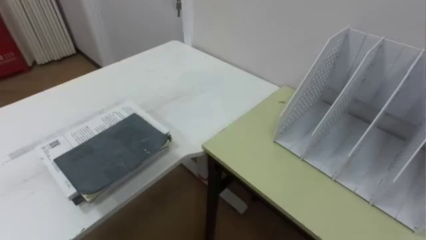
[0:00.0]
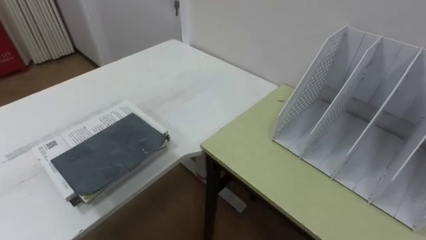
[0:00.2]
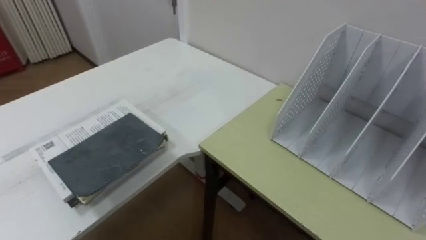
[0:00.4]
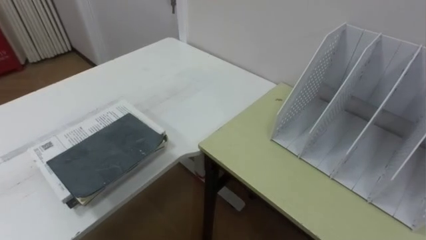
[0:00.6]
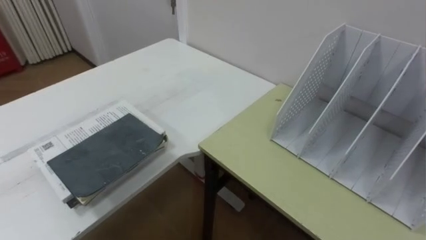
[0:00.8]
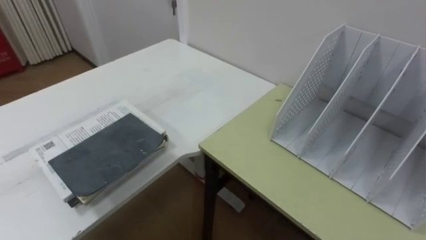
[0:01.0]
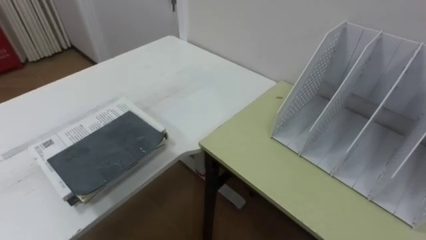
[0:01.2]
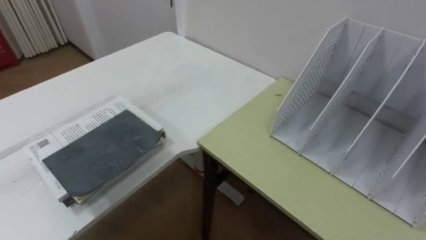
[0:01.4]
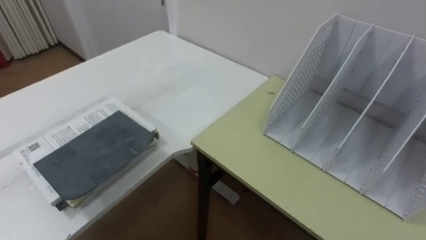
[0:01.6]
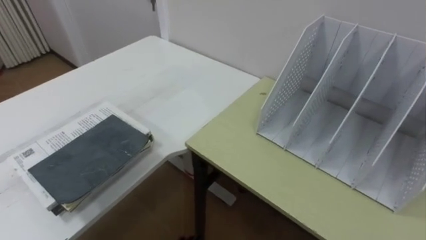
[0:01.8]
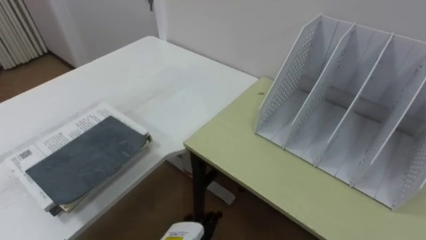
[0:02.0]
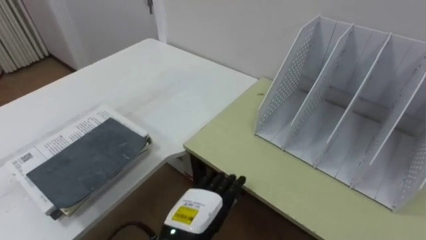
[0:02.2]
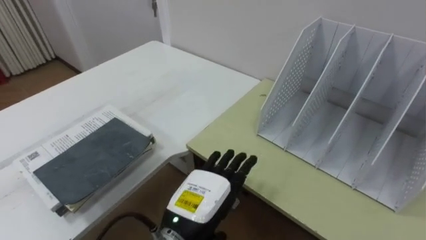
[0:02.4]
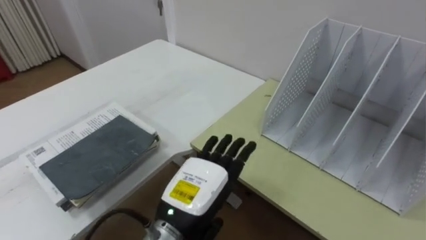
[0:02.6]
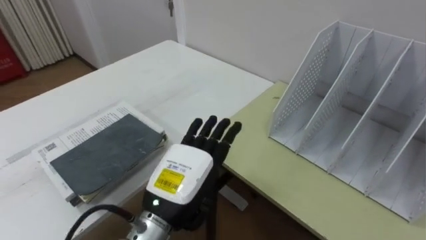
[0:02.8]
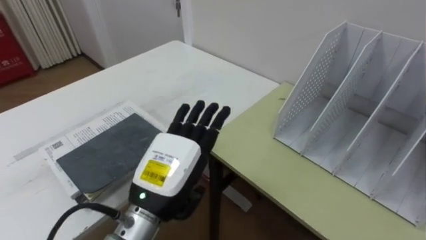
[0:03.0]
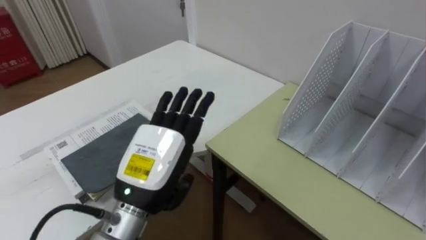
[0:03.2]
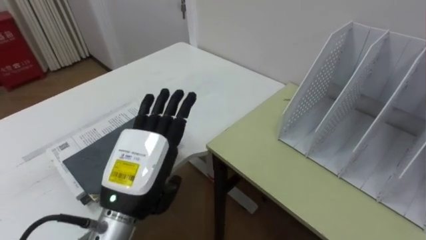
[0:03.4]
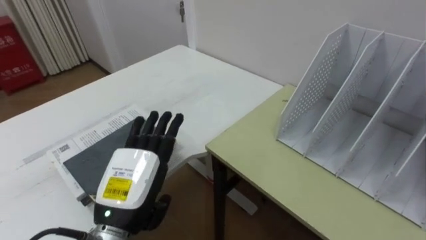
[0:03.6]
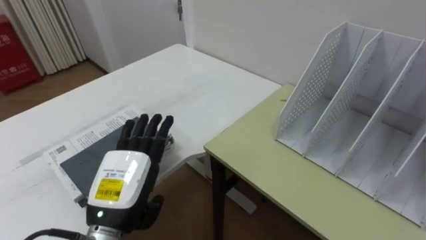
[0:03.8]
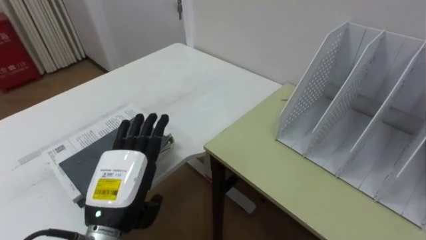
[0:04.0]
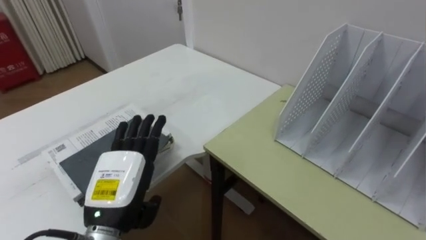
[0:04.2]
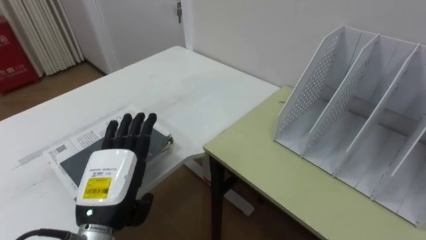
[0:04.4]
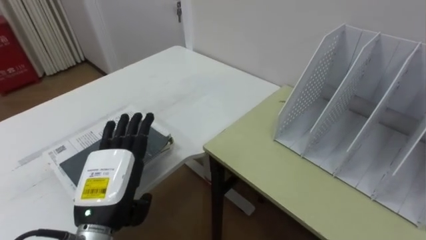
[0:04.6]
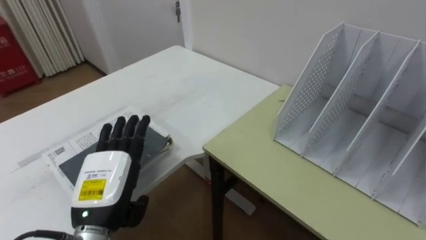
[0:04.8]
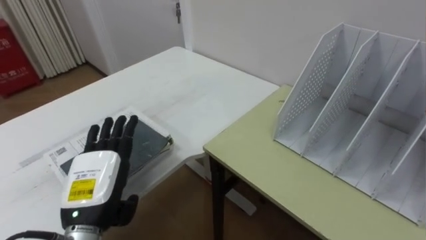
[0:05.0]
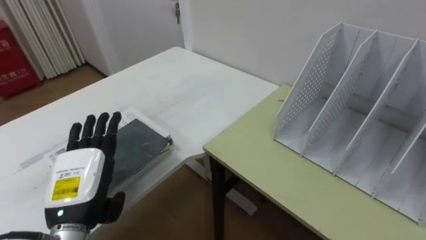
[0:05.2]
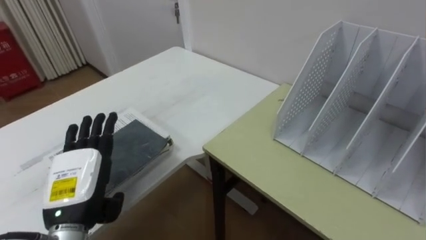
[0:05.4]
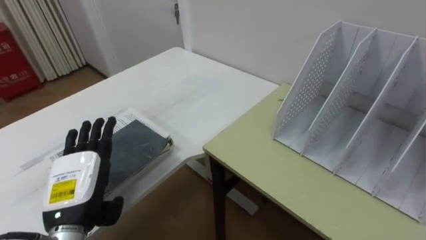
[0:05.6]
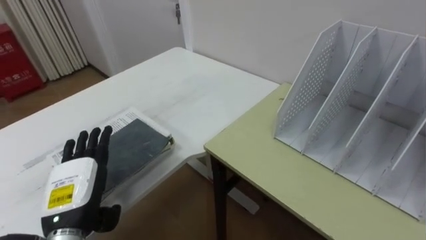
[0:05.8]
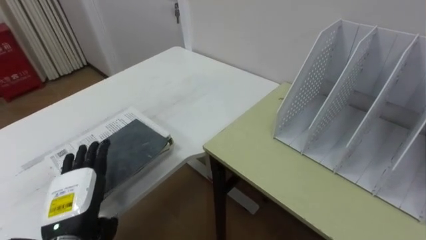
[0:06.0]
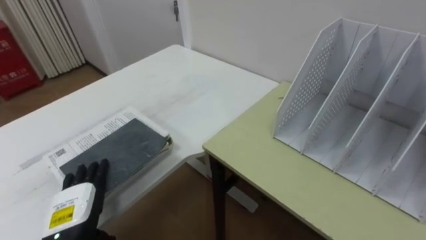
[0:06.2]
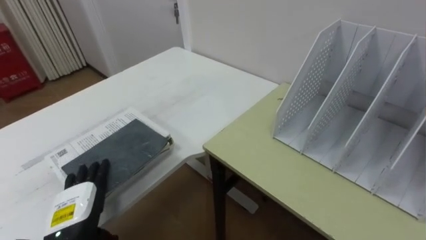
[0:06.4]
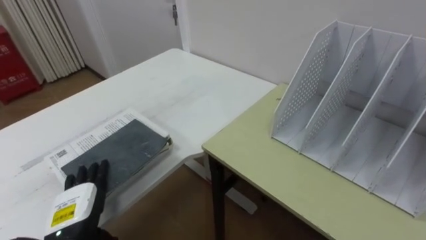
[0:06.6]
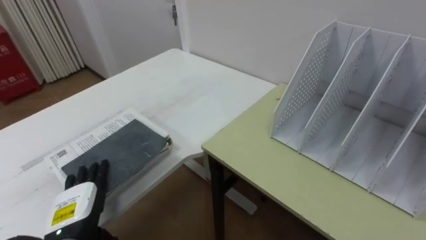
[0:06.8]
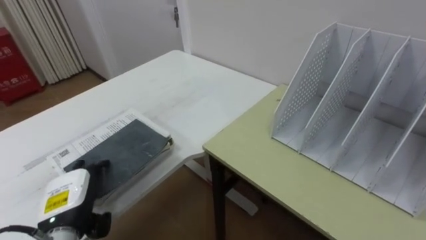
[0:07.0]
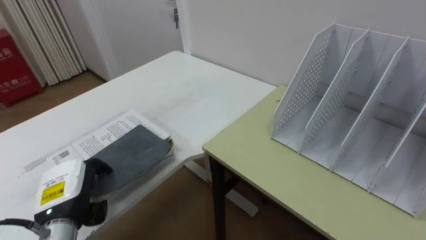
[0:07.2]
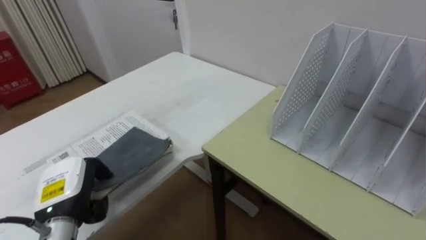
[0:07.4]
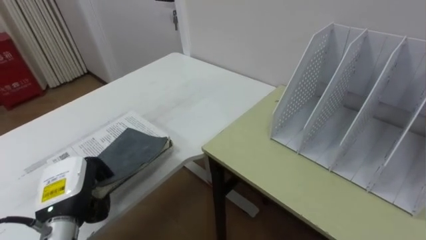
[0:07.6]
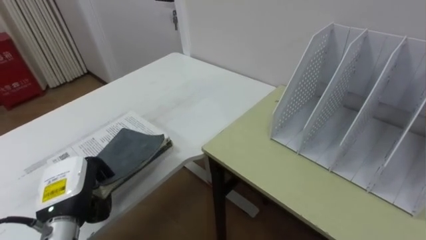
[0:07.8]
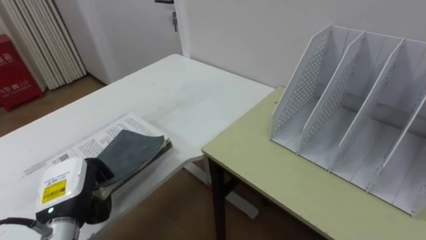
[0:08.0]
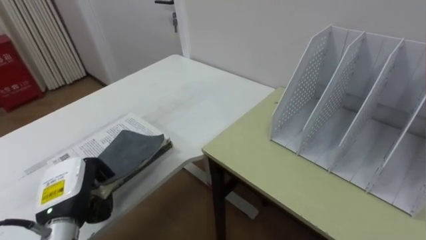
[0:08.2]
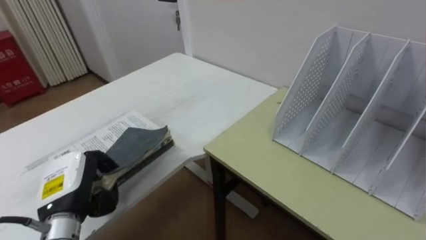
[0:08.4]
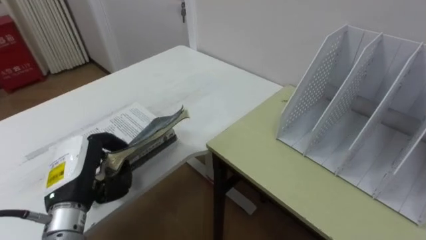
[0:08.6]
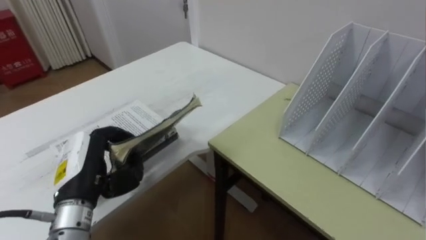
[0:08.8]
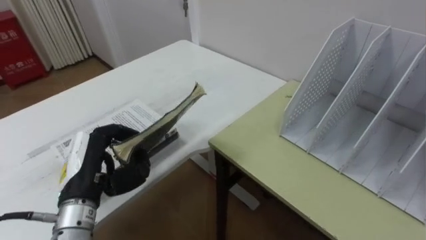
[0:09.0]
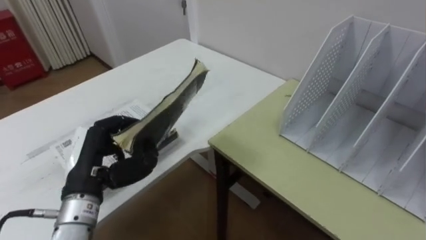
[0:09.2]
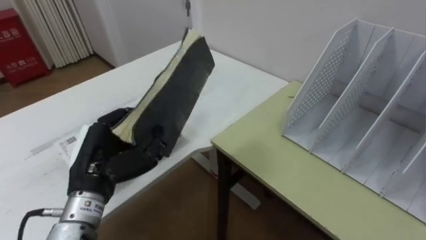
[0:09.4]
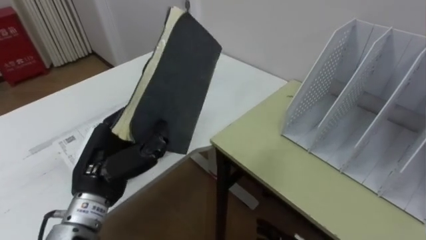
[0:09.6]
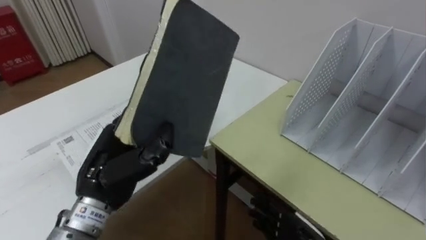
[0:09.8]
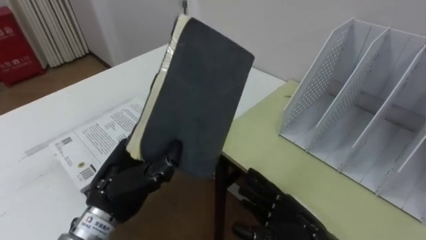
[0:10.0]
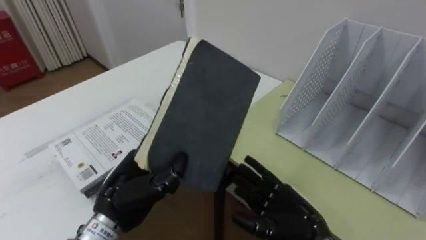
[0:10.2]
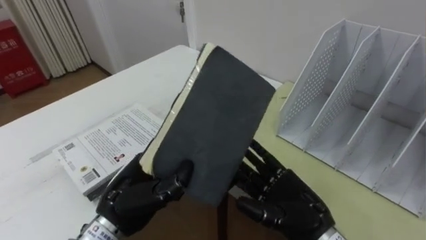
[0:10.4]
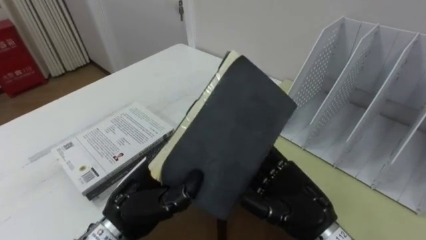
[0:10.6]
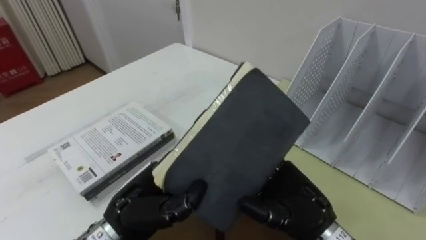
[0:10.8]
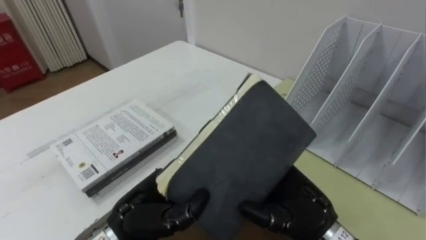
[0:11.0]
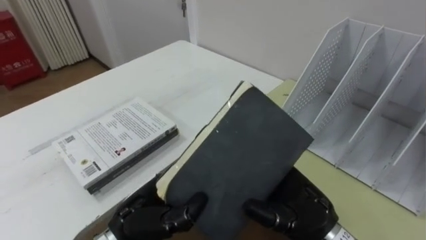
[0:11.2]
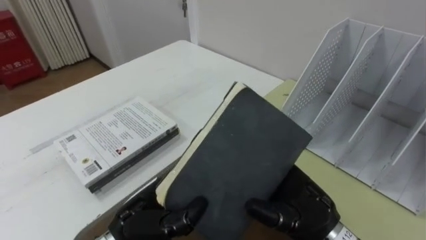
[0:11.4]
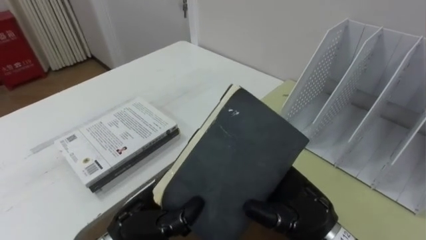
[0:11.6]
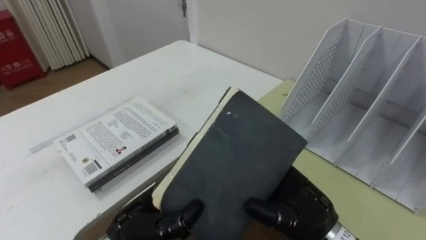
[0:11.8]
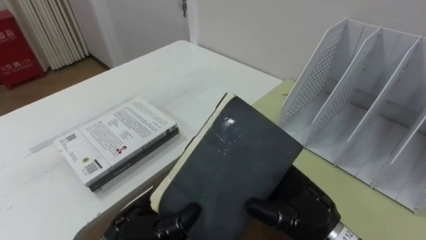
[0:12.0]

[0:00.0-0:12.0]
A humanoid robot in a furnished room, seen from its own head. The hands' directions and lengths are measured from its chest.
Task of the whole recording: Put the books on the table onto the bookshelf.
0:03.0 to 0:04.4: The left hand goes approximately 10 cm to the left.
0:04.4 to 0:06.0: The left hand shifts roughly 10 cm to the left and downward.
0:06.0 to 0:07.6: The left hand closes.
0:07.6 to 0:09.0: The left hand goes approximately 5 cm upward.
0:09.0 to 0:10.4: The left hand is displaced to the right by some 10 cm.
0:10.4 to 0:12.0: The left hand ends up roughly 5 cm from where it was.

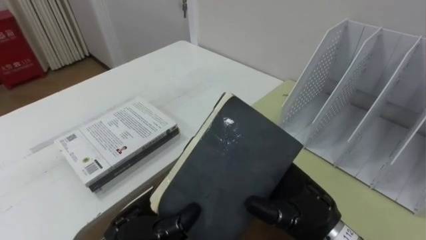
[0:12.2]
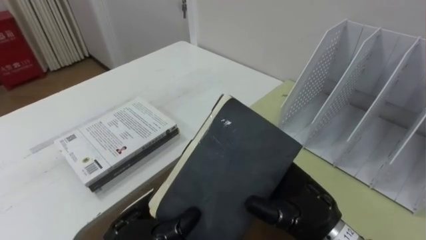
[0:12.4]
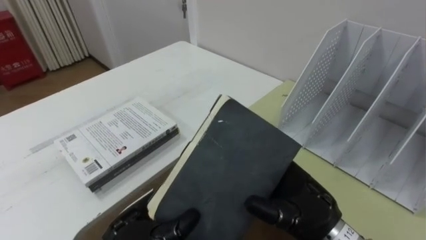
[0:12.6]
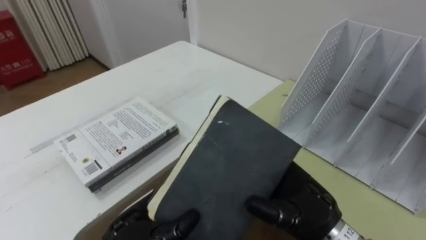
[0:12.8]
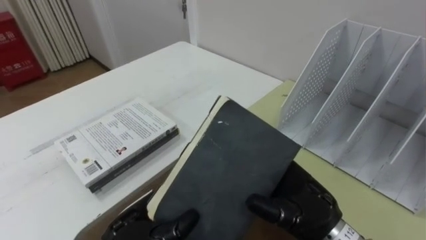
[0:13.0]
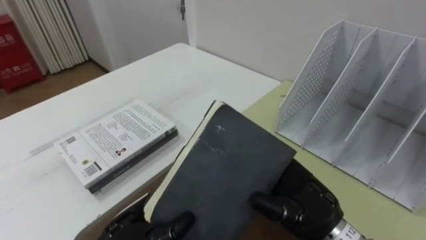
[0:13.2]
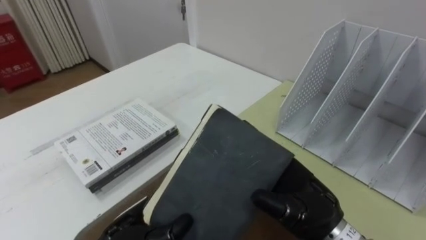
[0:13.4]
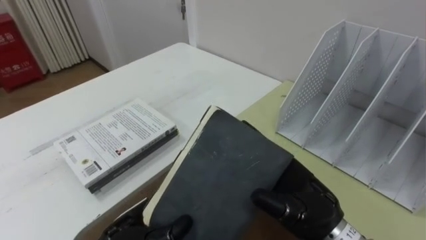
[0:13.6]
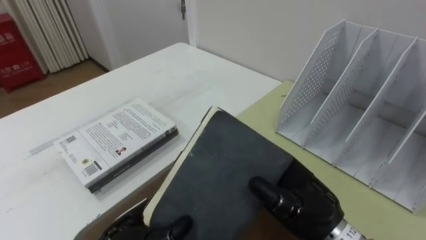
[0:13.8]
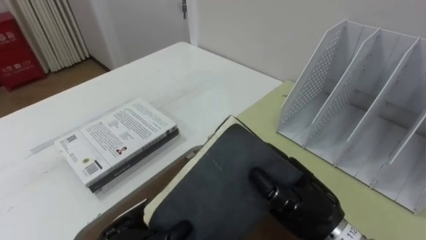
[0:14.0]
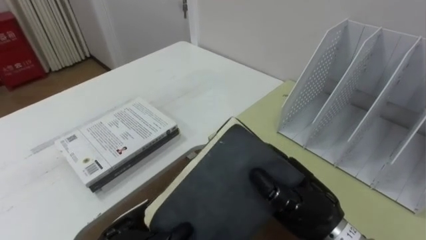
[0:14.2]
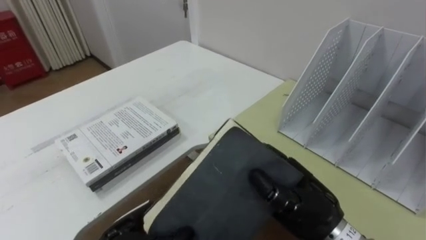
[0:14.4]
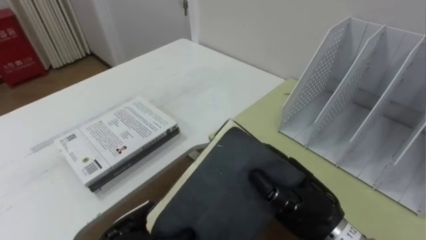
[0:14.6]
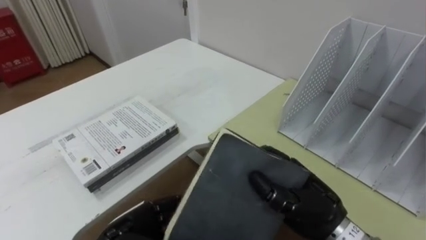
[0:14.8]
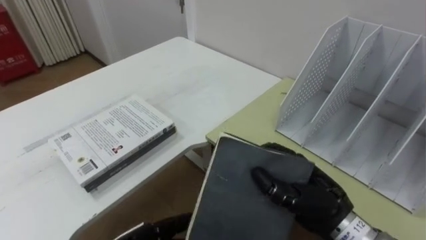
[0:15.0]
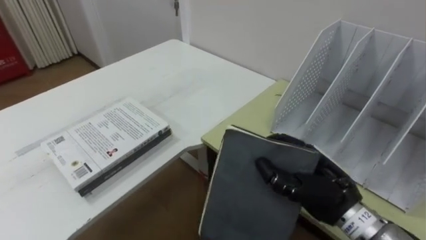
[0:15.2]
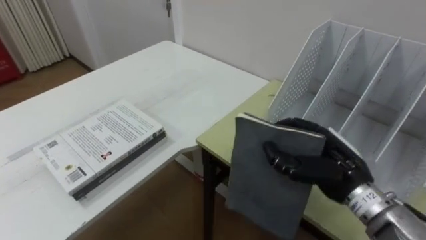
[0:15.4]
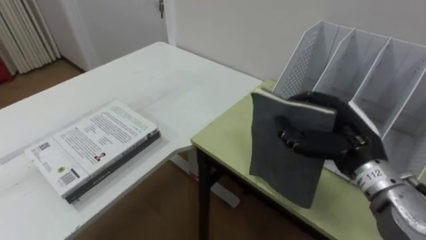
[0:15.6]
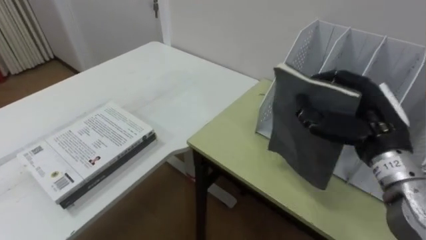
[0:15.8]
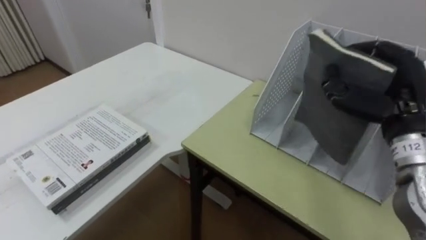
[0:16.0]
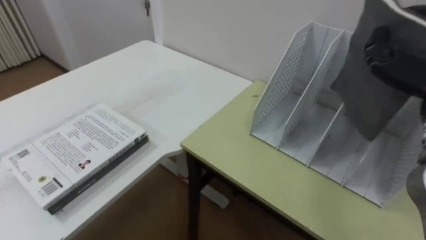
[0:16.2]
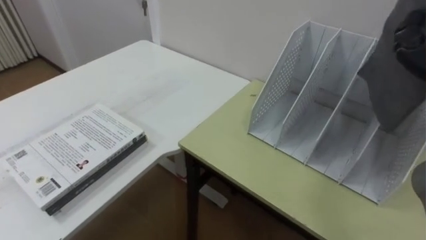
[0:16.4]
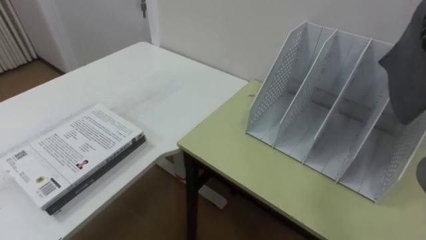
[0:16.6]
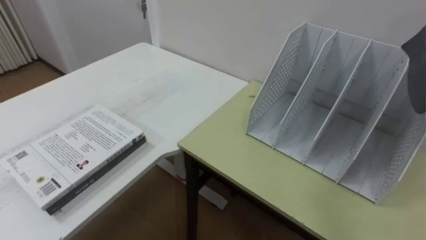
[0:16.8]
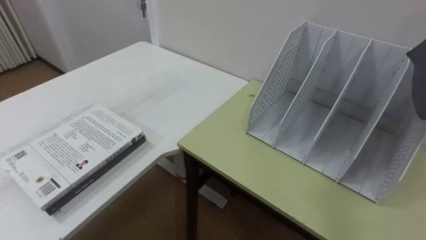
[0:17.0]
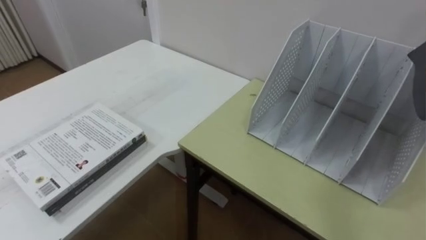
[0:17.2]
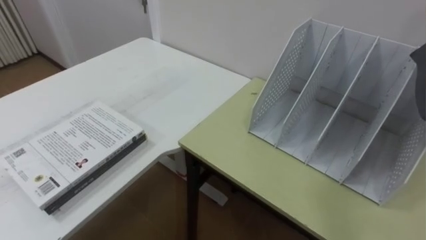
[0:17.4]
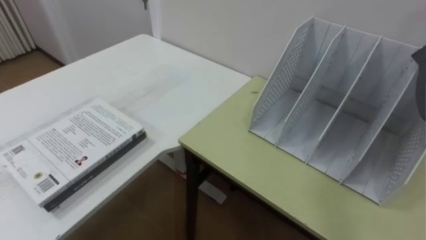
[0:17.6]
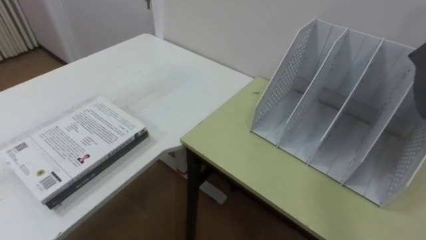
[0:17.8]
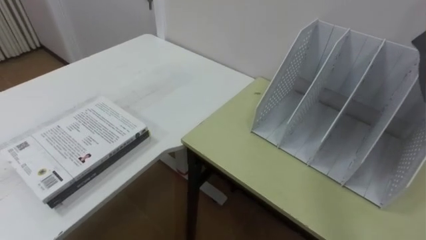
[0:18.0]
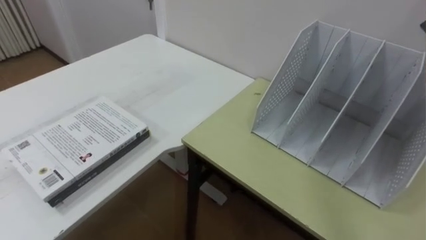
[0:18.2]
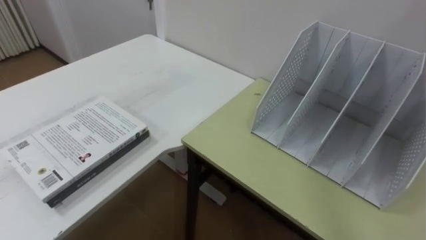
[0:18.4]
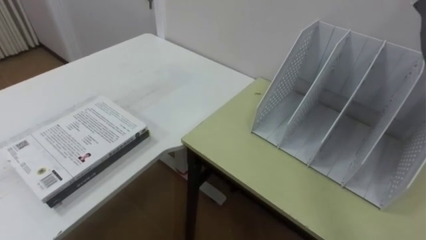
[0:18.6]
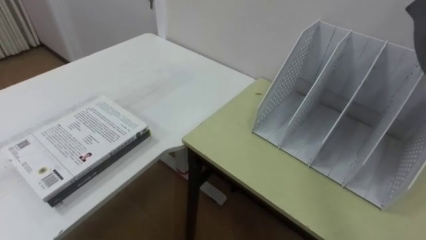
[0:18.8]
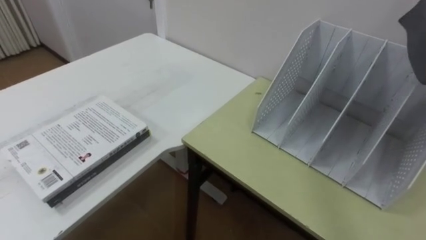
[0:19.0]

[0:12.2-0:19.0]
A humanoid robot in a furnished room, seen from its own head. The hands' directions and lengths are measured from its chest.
Task of the whole recording: Put the books on the table onto the bookshelf.
0:12.2 to 0:13.6: The hands move only a little.
0:13.6 to 0:15.0: The right hand closes.
